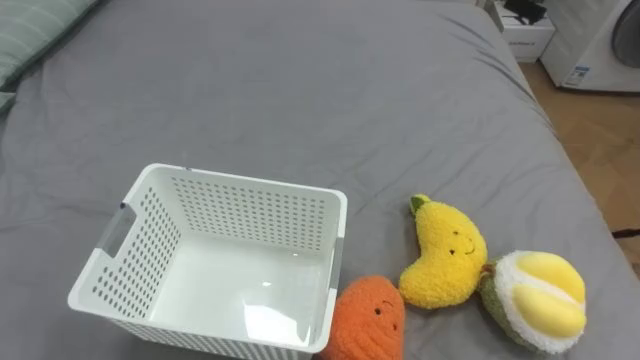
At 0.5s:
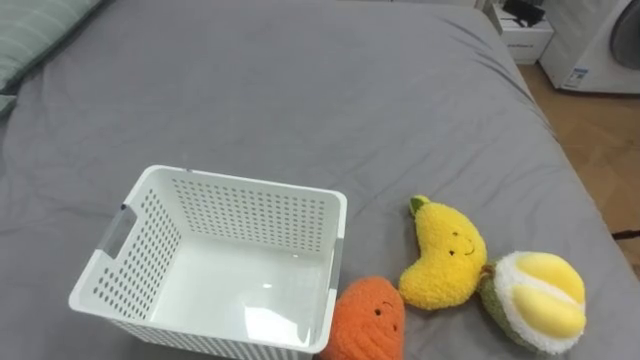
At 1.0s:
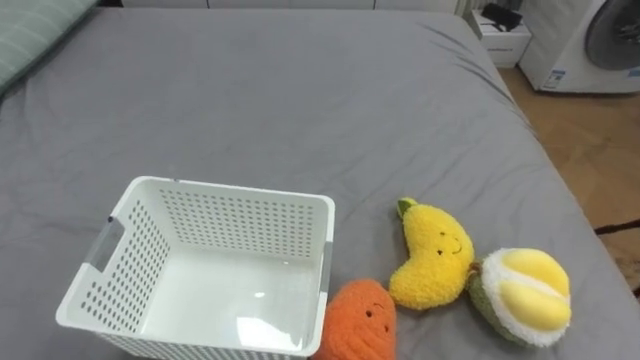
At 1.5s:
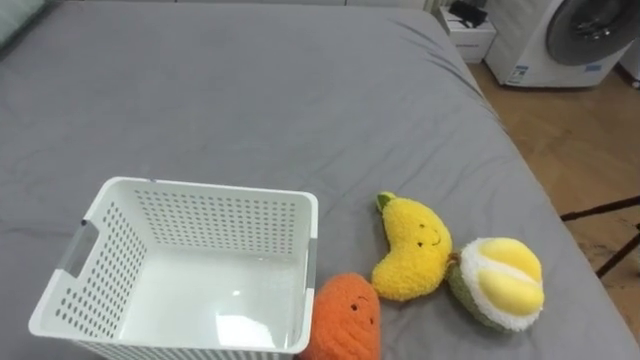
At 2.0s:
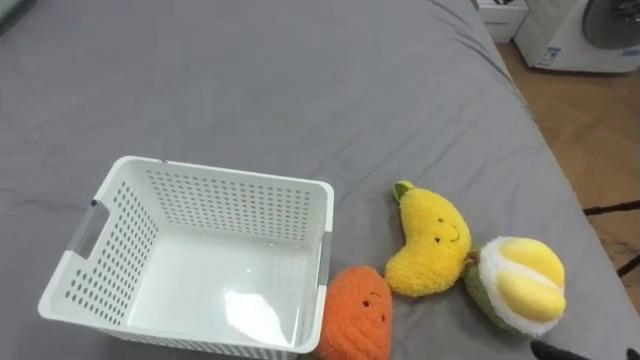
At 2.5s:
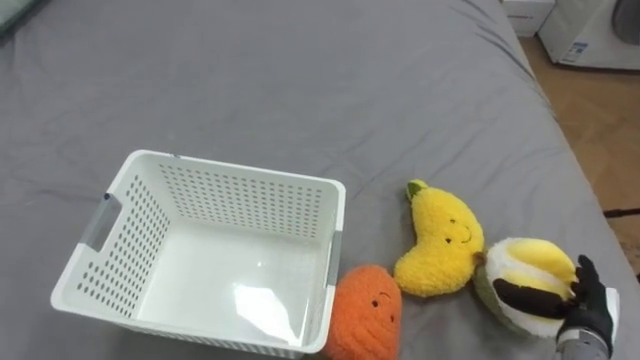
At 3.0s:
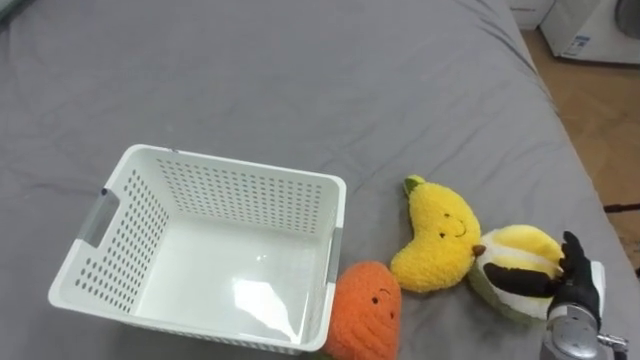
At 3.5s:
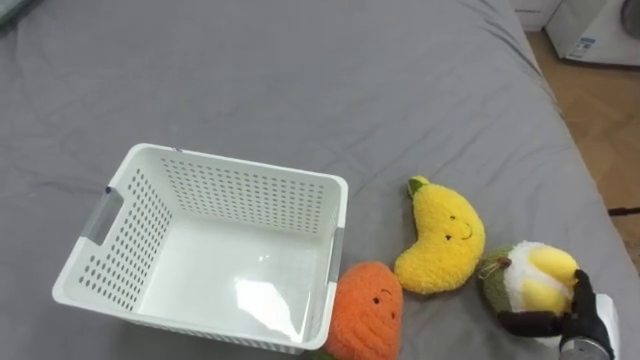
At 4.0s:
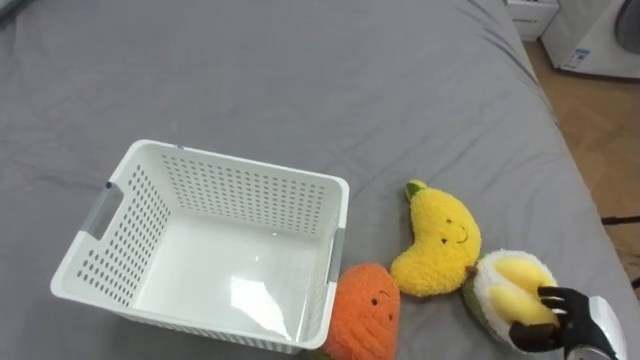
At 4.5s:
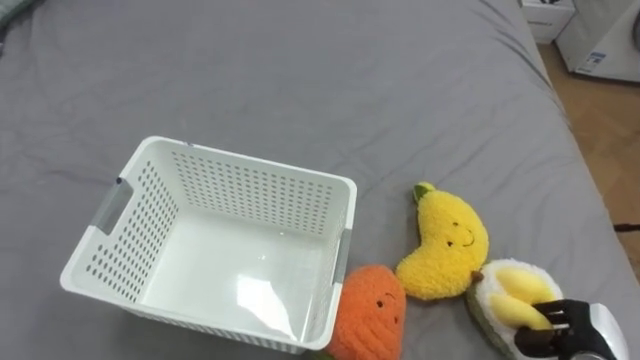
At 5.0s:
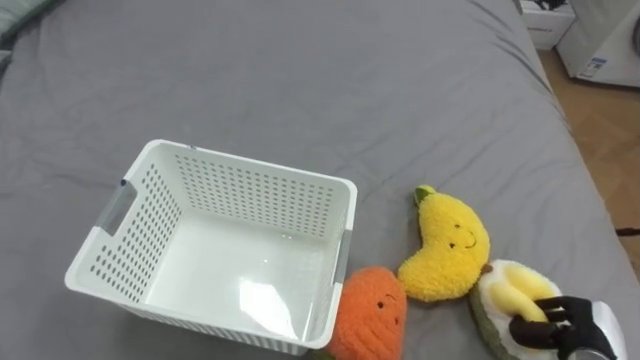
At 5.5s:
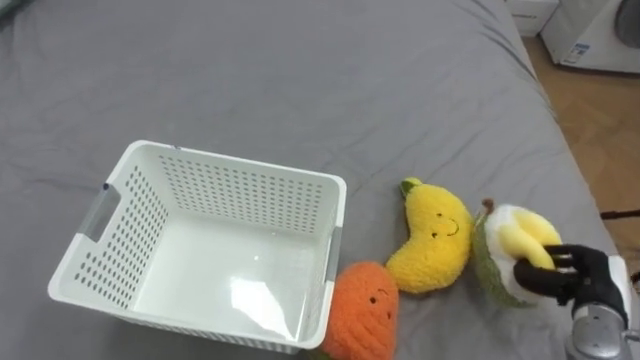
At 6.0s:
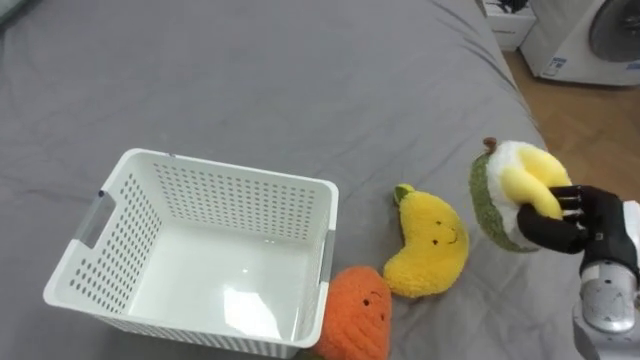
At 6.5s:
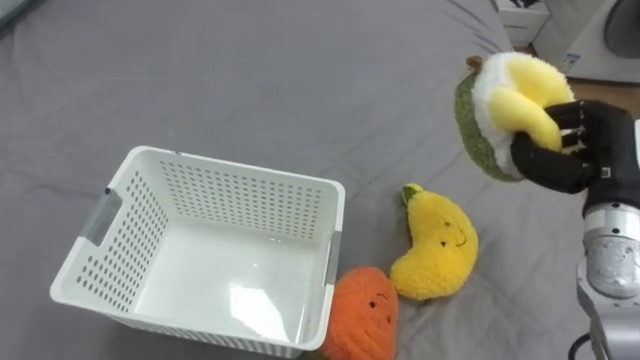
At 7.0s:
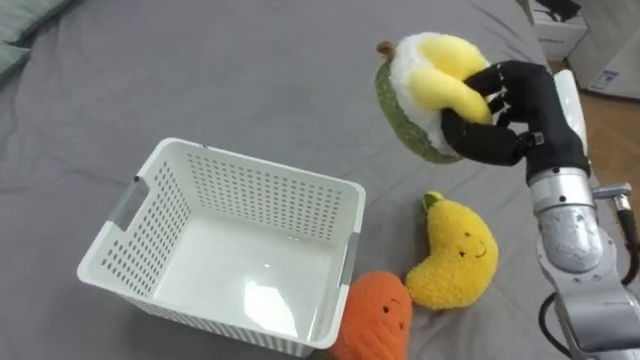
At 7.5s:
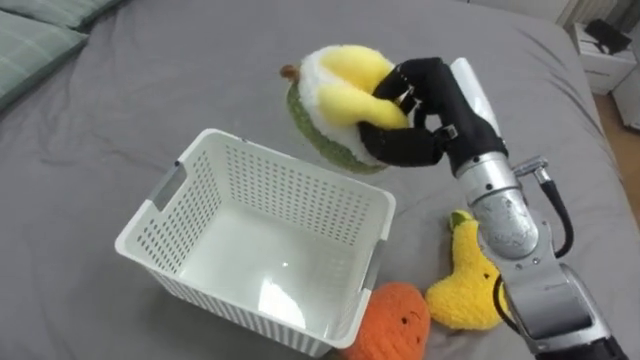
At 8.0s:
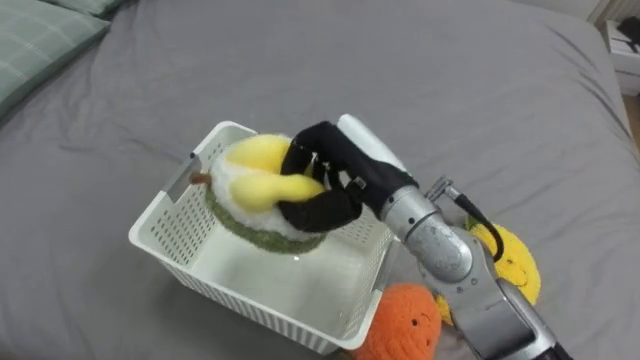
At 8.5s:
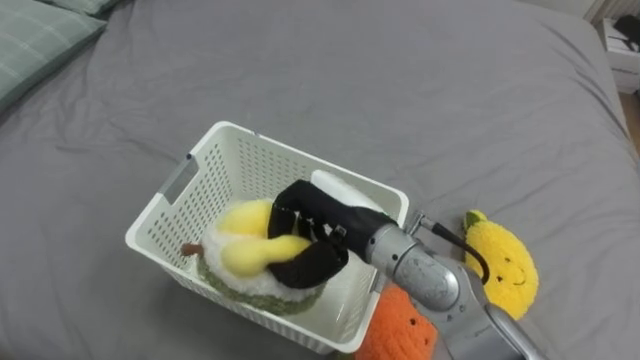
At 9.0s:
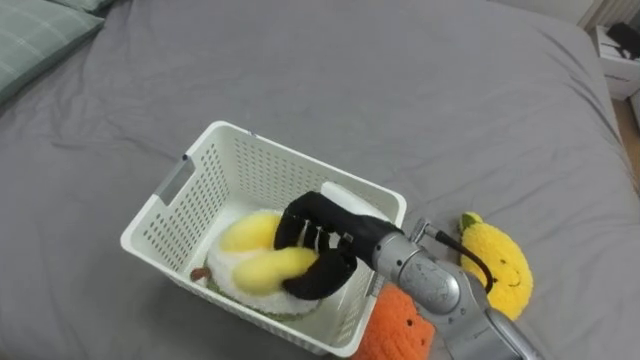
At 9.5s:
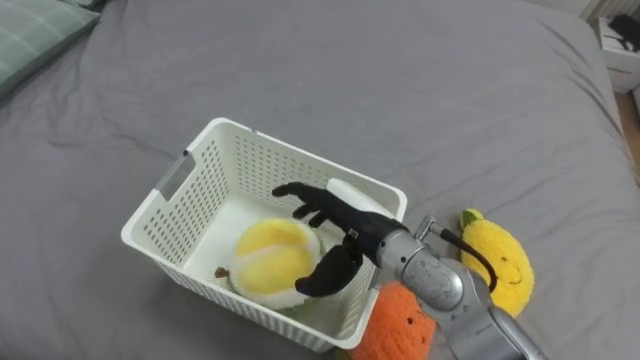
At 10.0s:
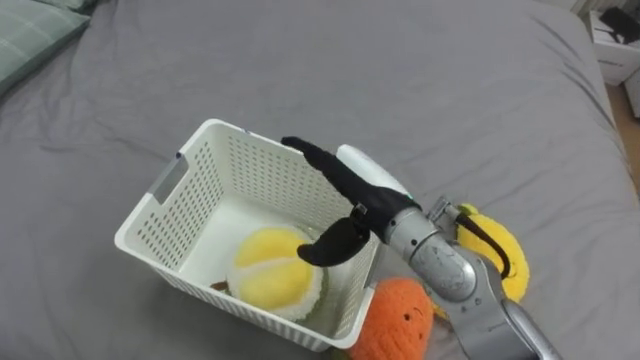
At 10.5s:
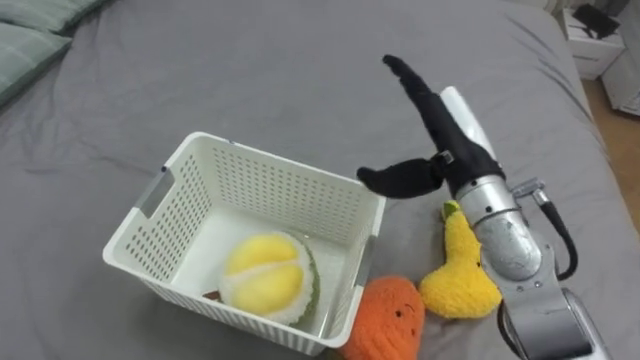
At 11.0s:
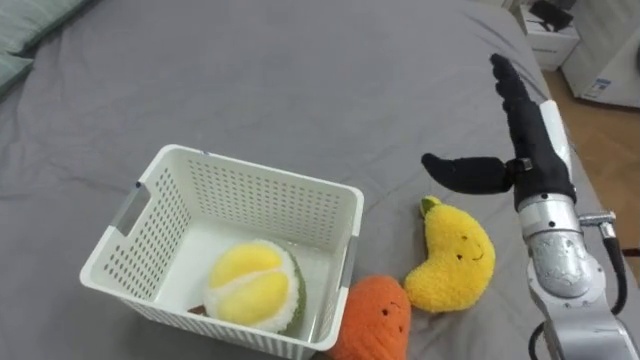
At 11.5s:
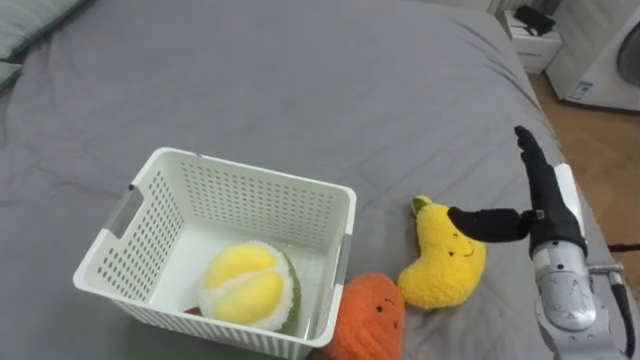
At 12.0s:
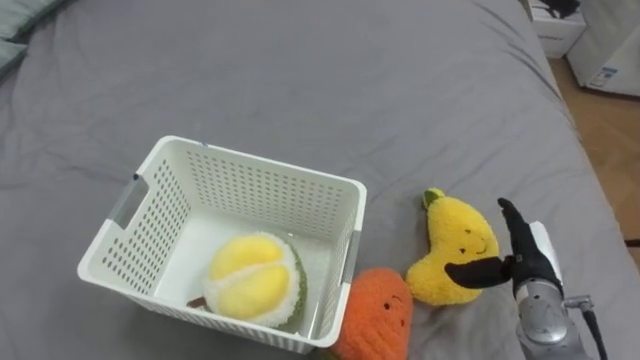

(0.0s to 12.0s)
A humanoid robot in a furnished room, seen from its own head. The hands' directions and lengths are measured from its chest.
Task of the whole recording: Put the toys on the bed into the basket on the left.
4.0s - 6.0s: The right hand is displaced upward and forward by about 15 cm, and closes.
6.0s - 8.0s: The right hand travels to the left by some 30 cm.
8.0s - 10.0s: The right hand opens its fingers.
10.0s - 12.0s: The right hand goes approximately 25 cm to the right and downward.

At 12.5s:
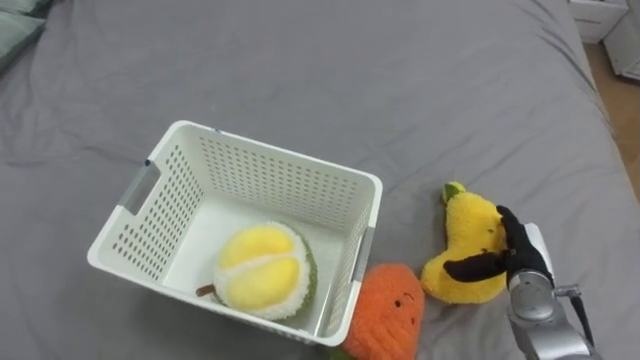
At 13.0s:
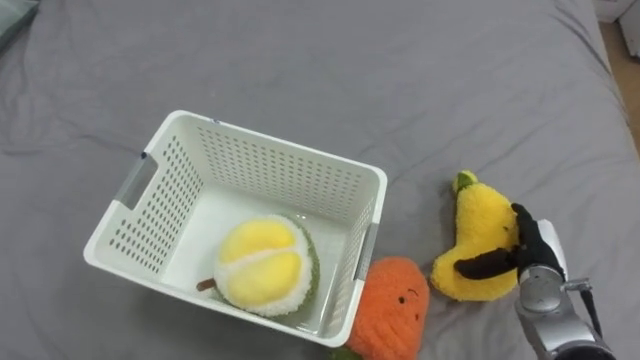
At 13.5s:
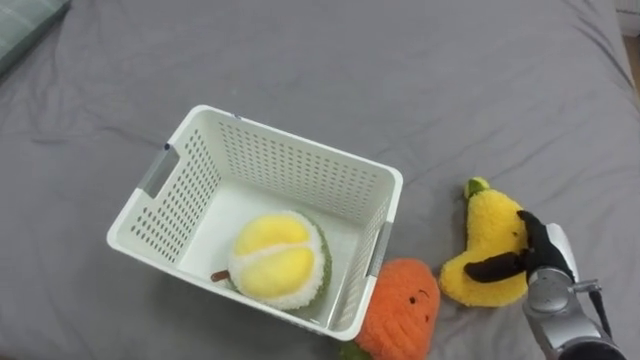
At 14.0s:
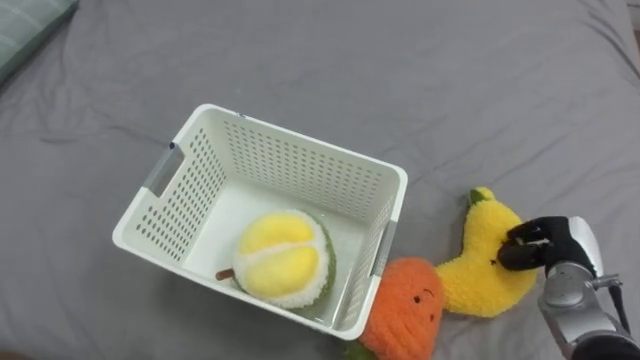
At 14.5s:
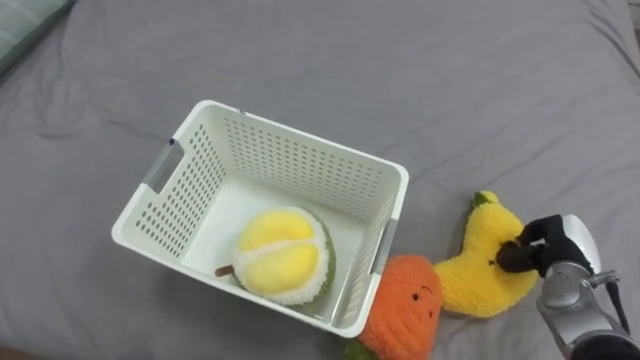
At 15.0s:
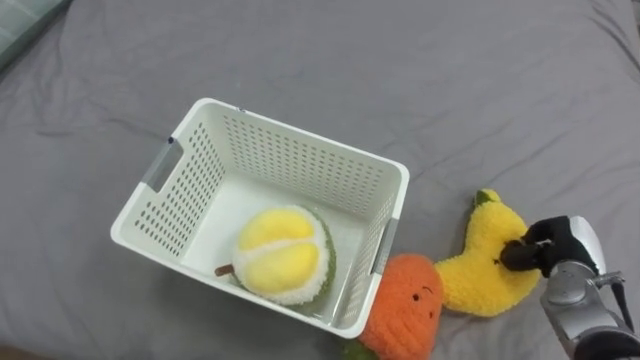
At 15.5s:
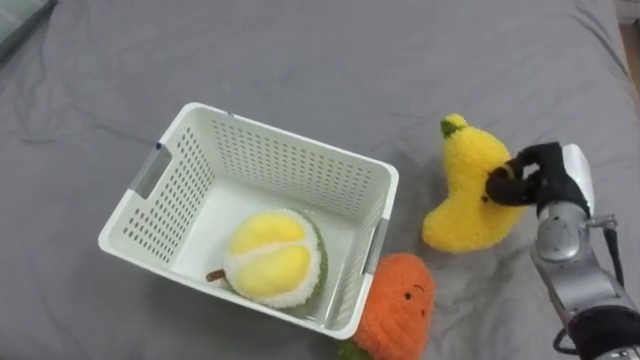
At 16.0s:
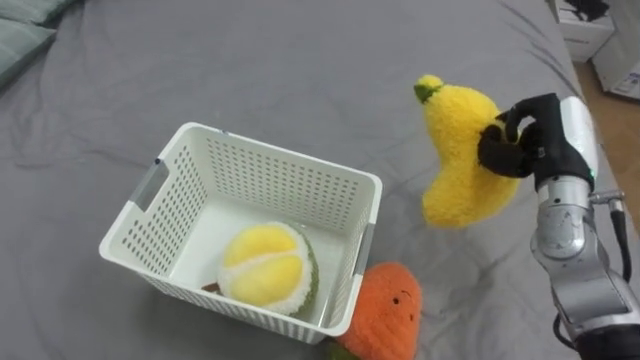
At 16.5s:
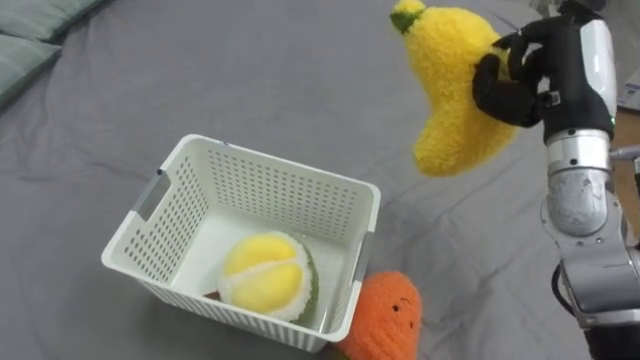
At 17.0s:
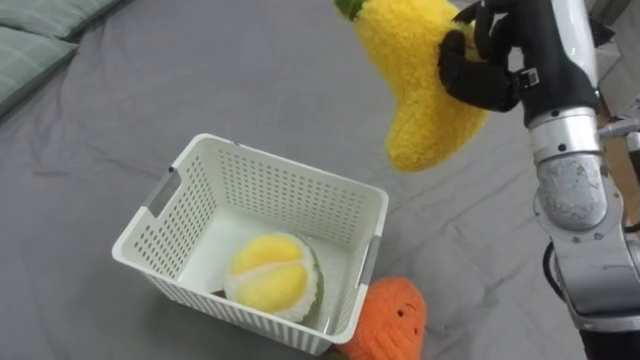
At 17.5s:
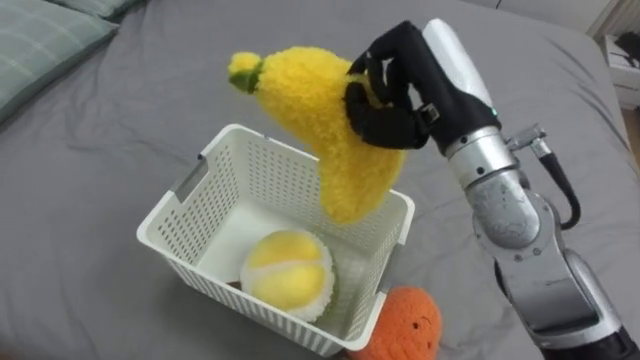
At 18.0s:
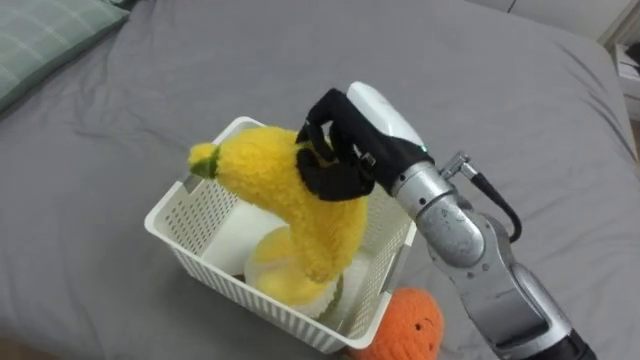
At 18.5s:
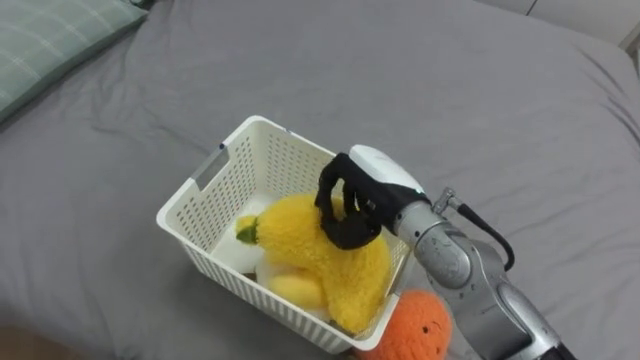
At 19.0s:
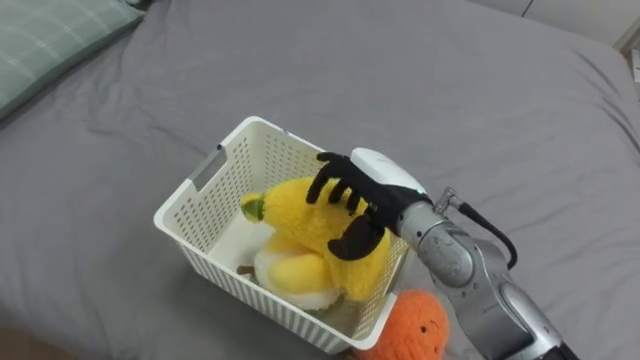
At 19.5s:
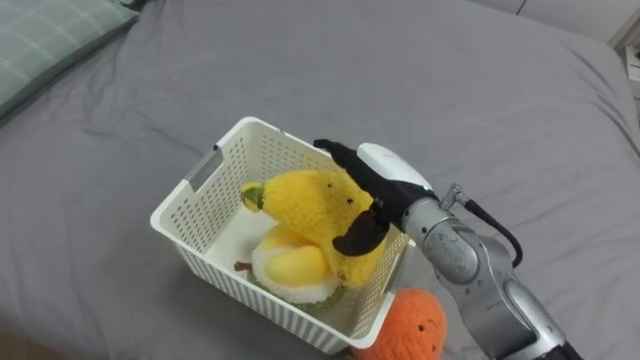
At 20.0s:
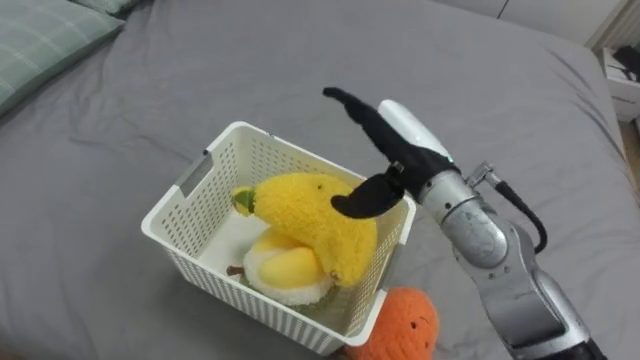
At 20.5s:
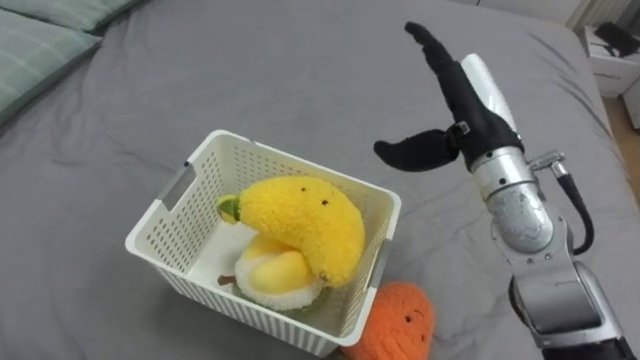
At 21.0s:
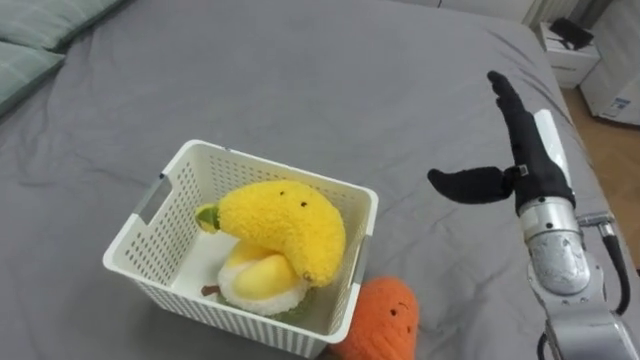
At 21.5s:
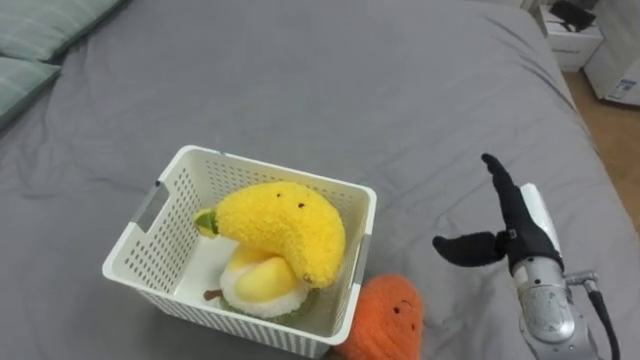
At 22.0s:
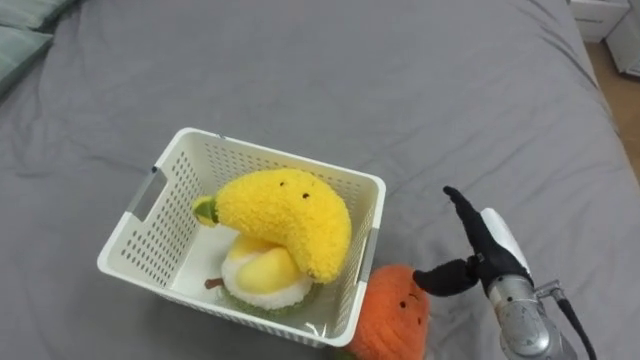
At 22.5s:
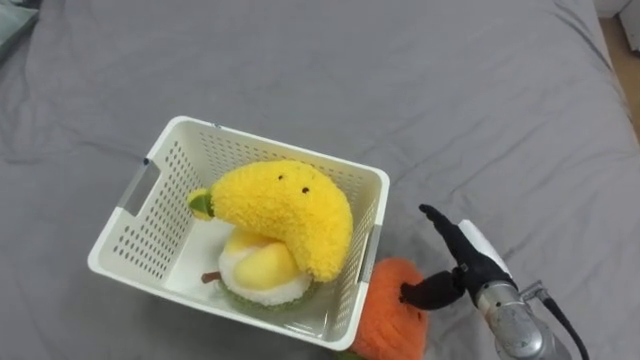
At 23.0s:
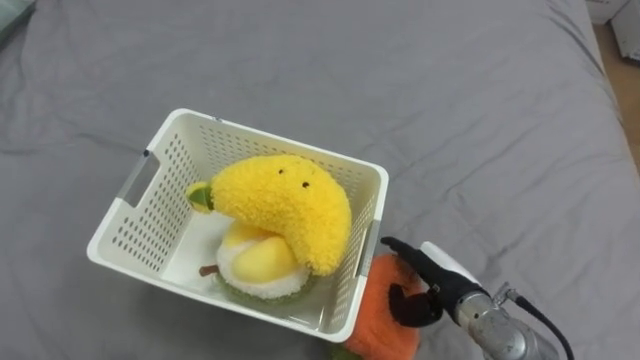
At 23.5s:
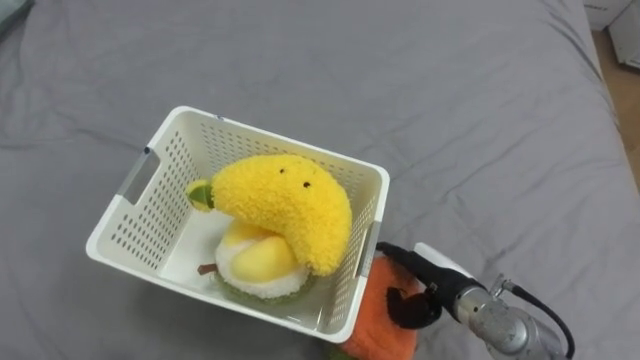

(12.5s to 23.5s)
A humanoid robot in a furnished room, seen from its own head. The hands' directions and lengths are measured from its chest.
Task of the whole recording: Put the toys on the bed into the basket on the left.
12.5s - 14.5s: The right hand moves to the right, roughly 5 cm, and closes up.
14.5s - 16.0s: The right hand goes approximately 15 cm upward.
16.0s - 18.0s: The right hand goes approximately 20 cm to the left.
18.0s - 20.0s: The right hand opens its fingers.
20.0s - 21.5s: The right hand travels to the right and downward by some 20 cm.
21.5s - 23.5s: The right hand shifts some 10 cm to the left and downward.
